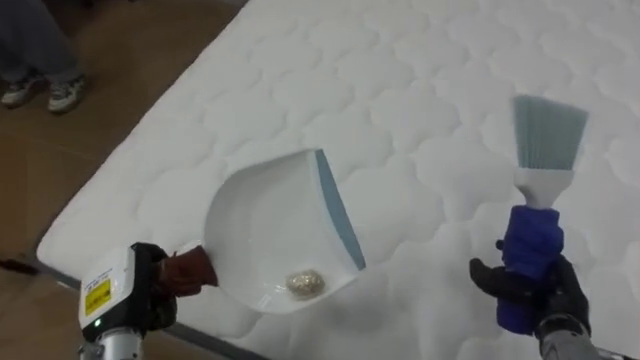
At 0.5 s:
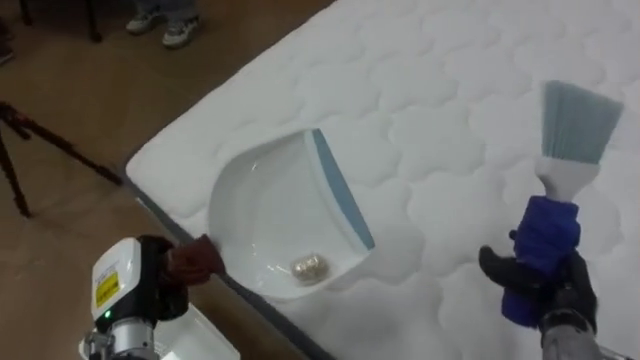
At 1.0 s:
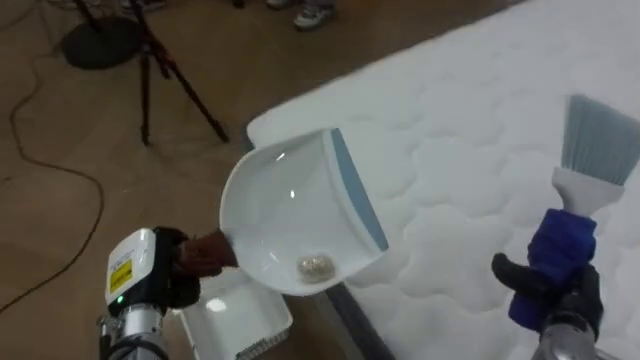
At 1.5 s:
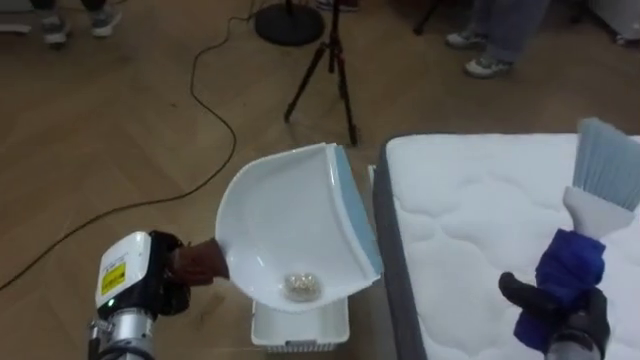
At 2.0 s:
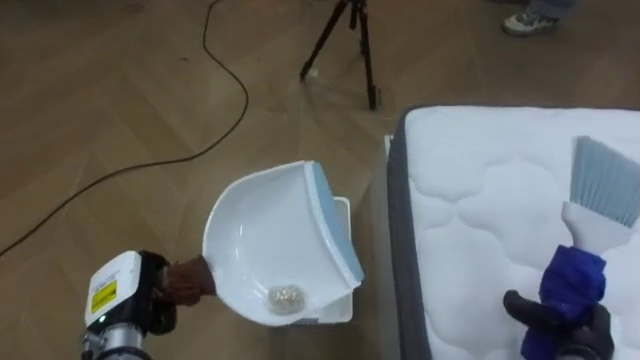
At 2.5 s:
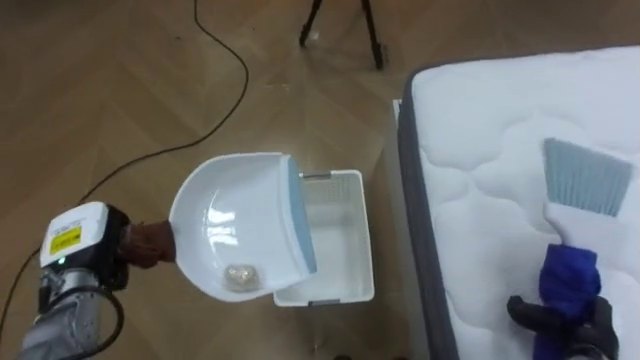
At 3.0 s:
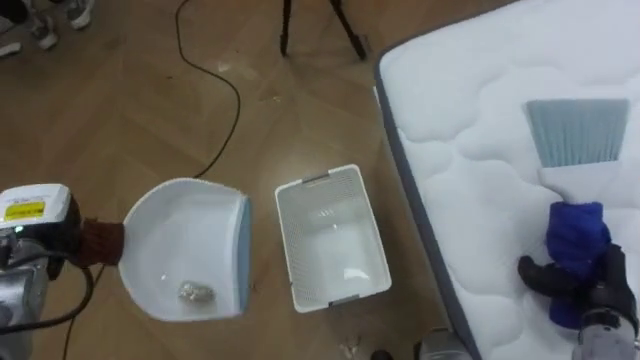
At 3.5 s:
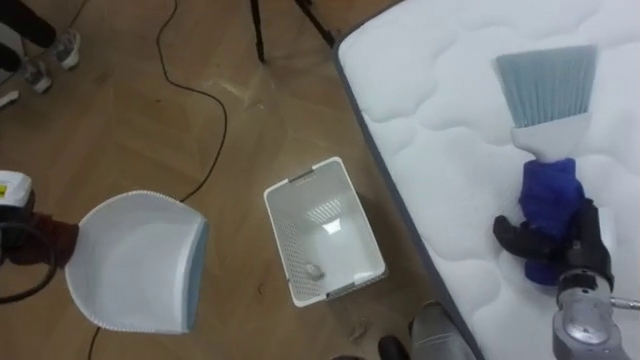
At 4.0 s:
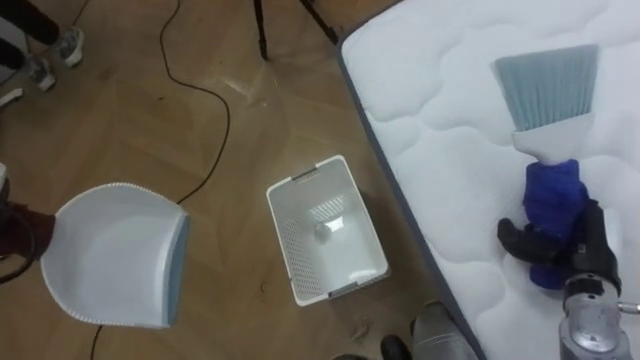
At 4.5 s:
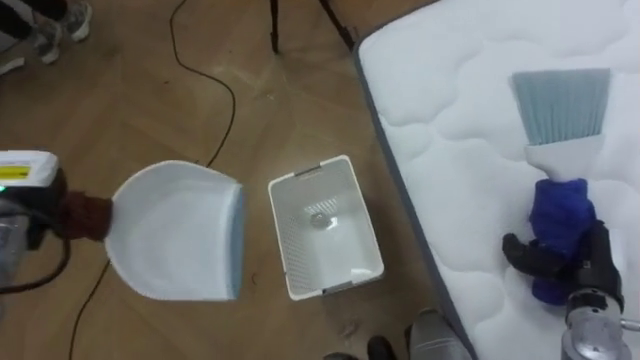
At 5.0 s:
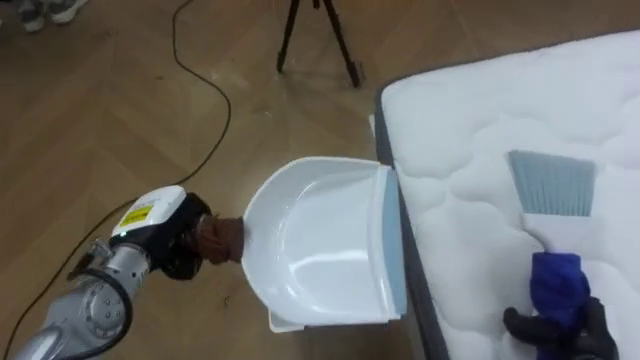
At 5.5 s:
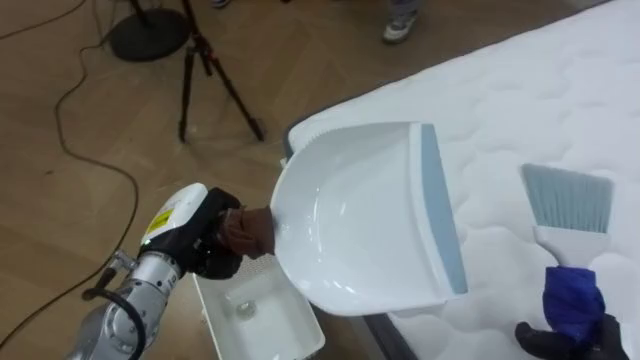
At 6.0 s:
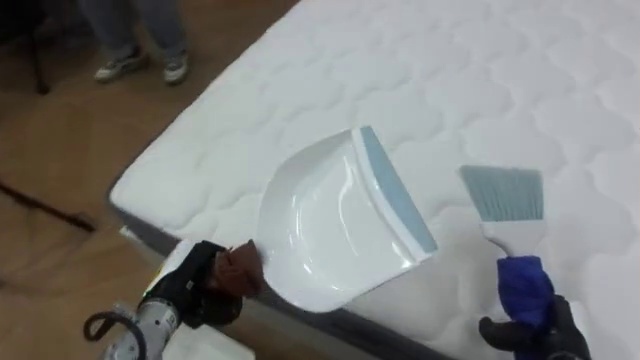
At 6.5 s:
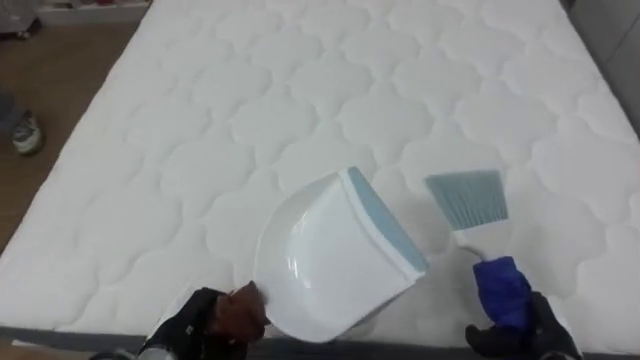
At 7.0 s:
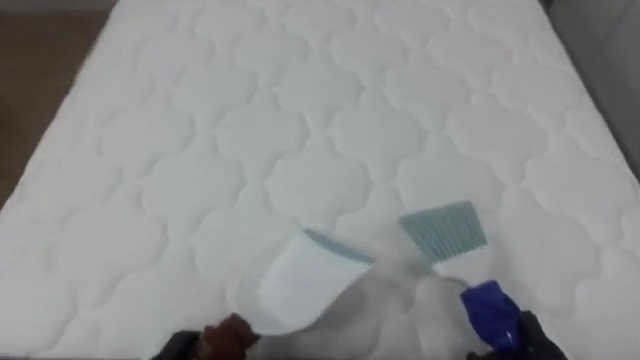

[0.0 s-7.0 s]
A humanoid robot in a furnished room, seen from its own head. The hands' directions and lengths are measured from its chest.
Task of the whole recording: Pick up the brush on your right and the dustpan on your left. Use the brush to sweep the crumpled paper on the bed into the dustpan, then turn left and empty it into the basket.
0.0 to 2.0 s: The robot's body swings some 75 degrees to its left. The right hand changes place by approximately 5 cm.
2.0 to 3.5 s: The right hand goes roughly 10 cm forward and upward.
3.5 to 5.0 s: The right hand travels backward and downward by roughly 10 cm.
5.0 to 7.0 s: The robot rotates some 85 degrees to its right.

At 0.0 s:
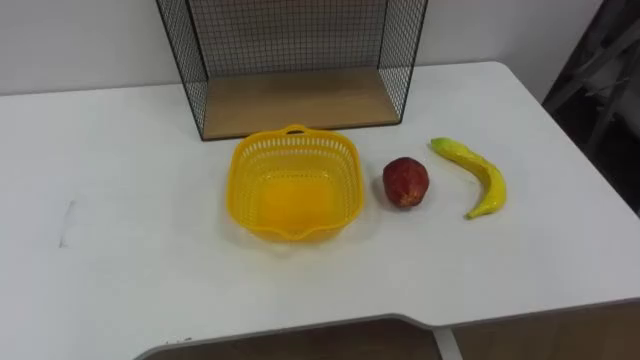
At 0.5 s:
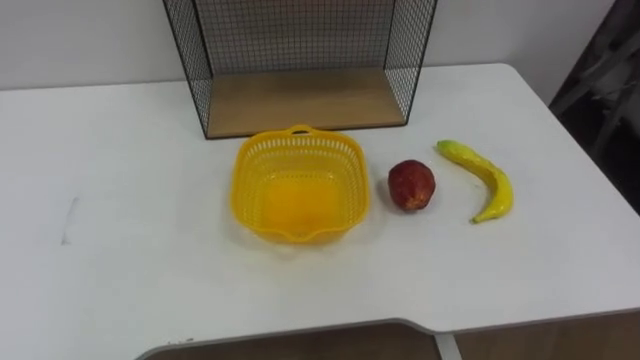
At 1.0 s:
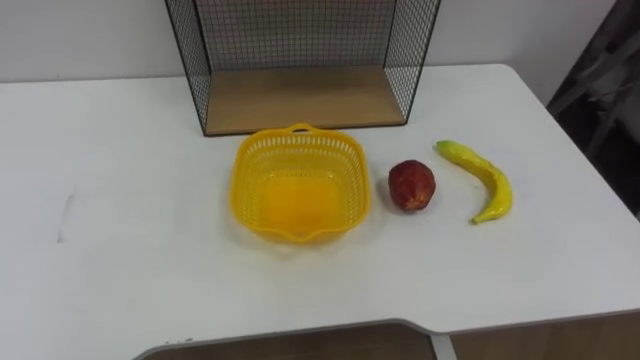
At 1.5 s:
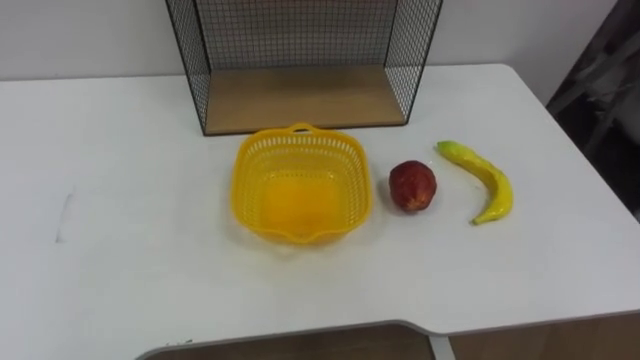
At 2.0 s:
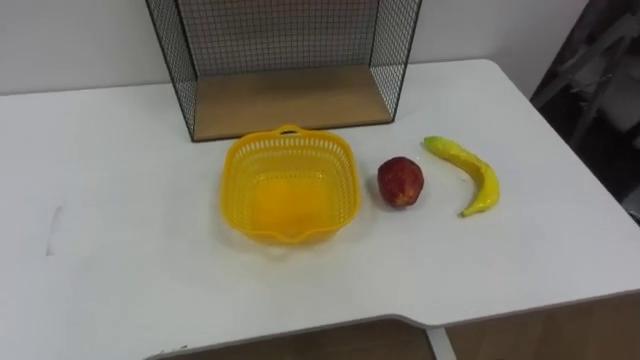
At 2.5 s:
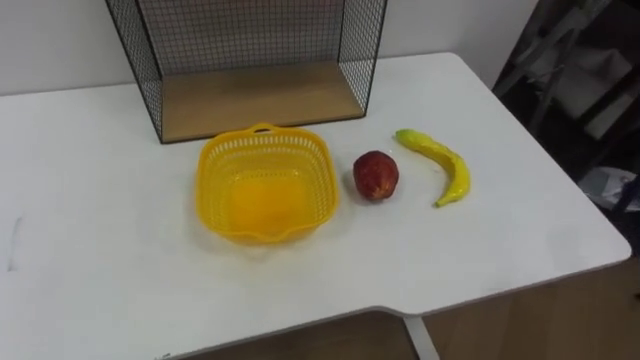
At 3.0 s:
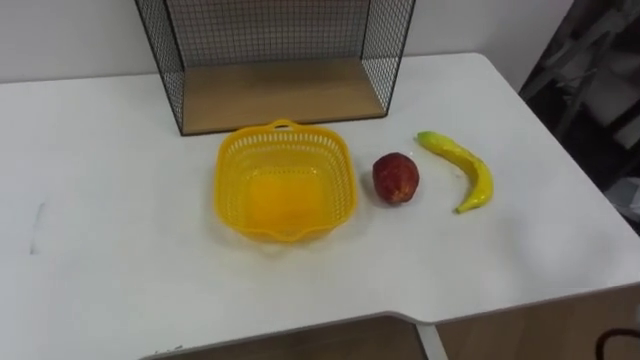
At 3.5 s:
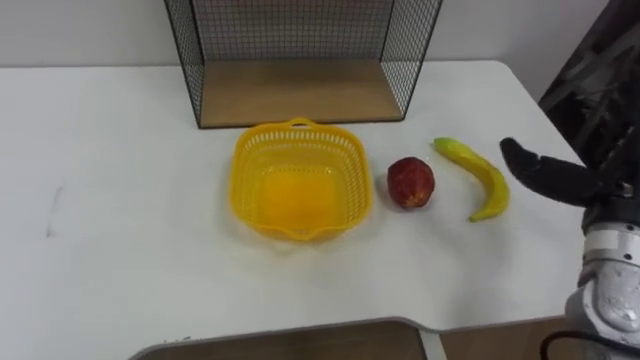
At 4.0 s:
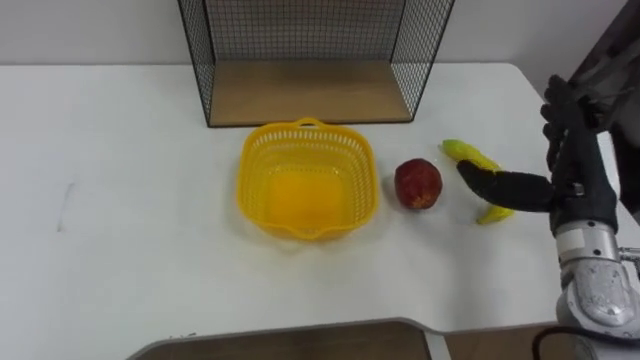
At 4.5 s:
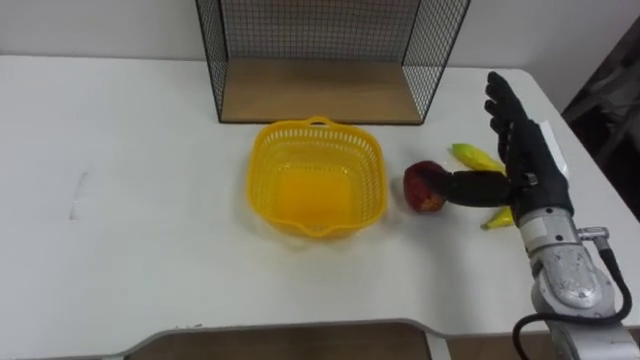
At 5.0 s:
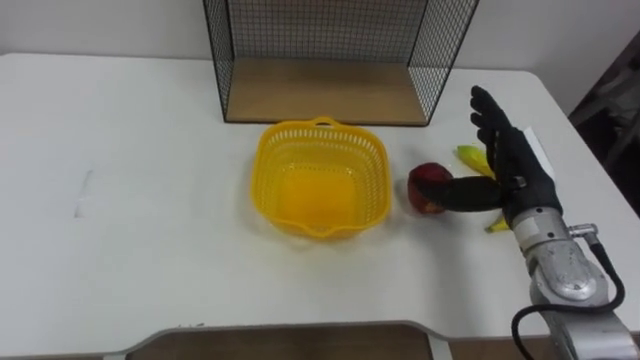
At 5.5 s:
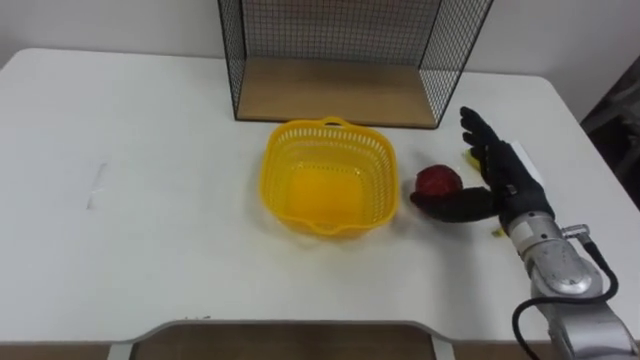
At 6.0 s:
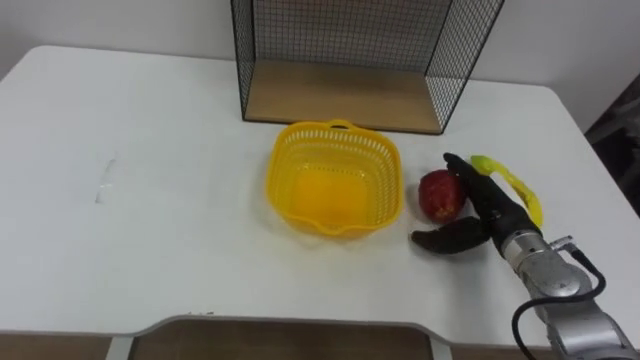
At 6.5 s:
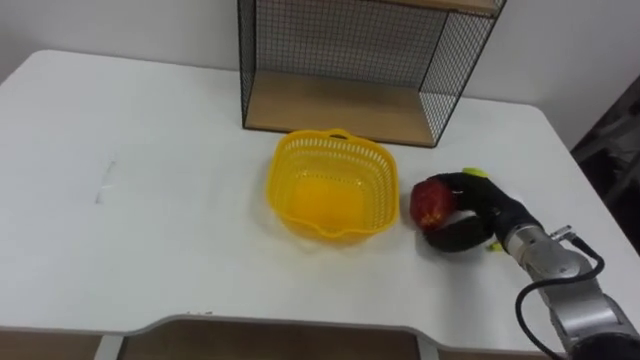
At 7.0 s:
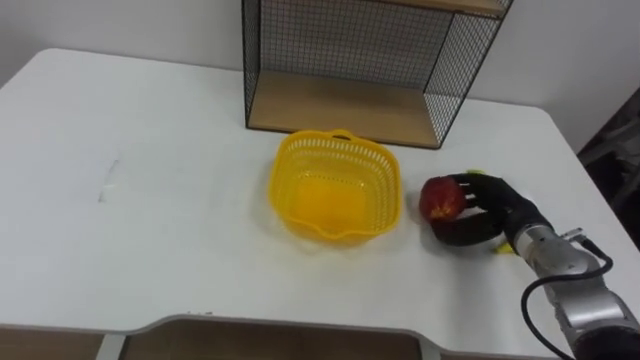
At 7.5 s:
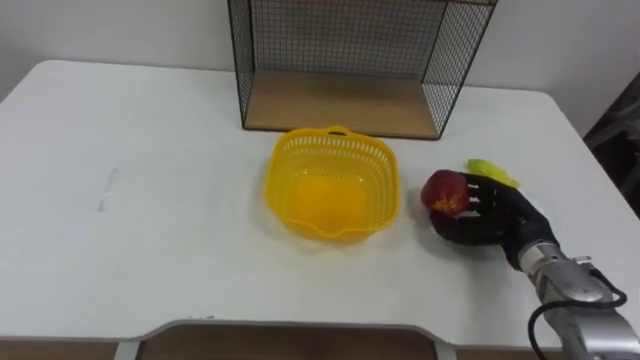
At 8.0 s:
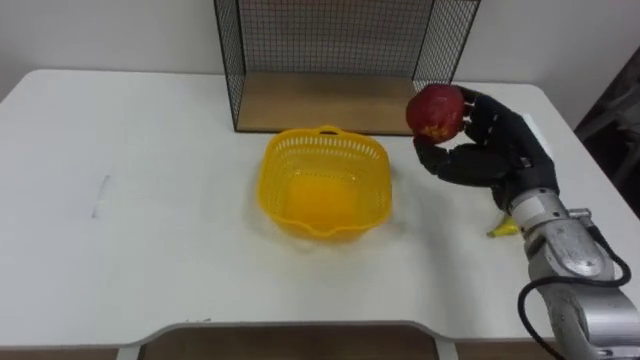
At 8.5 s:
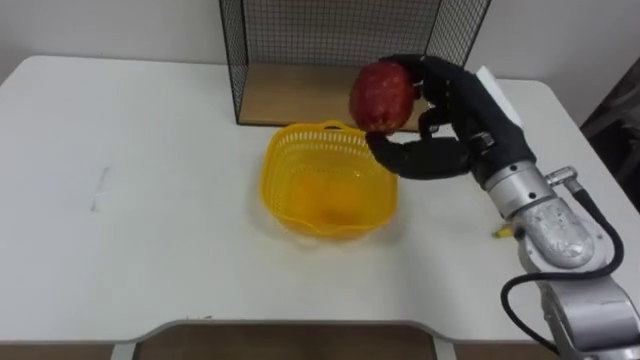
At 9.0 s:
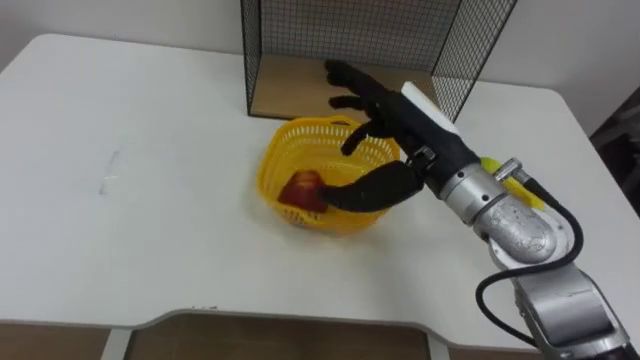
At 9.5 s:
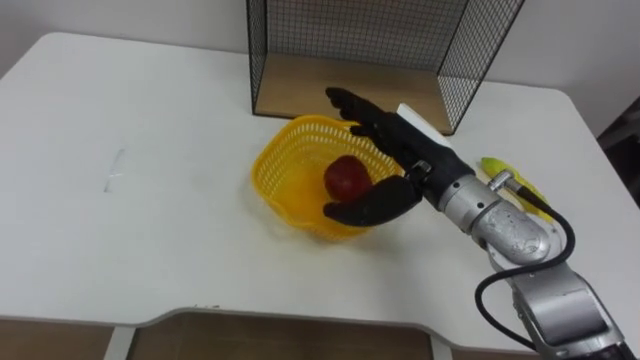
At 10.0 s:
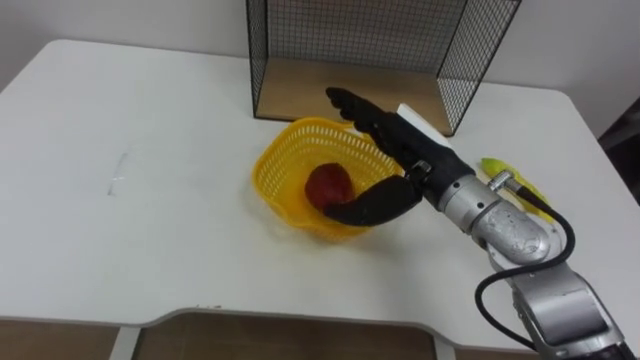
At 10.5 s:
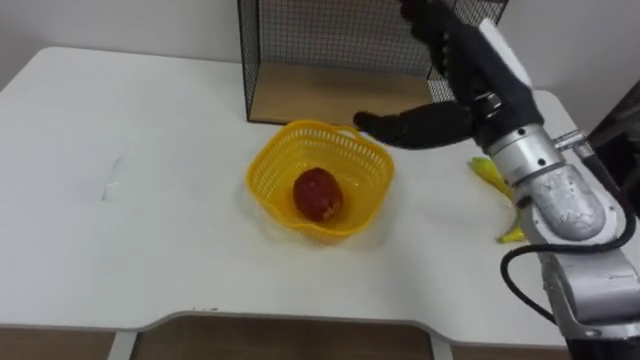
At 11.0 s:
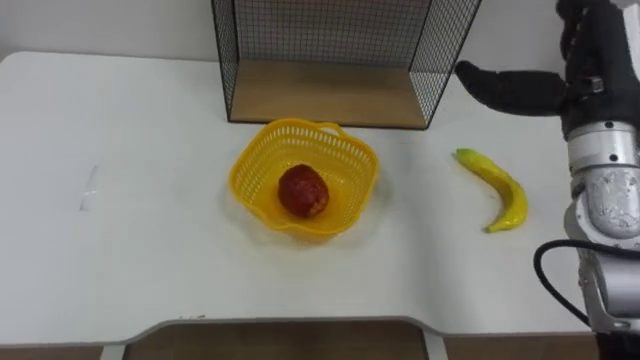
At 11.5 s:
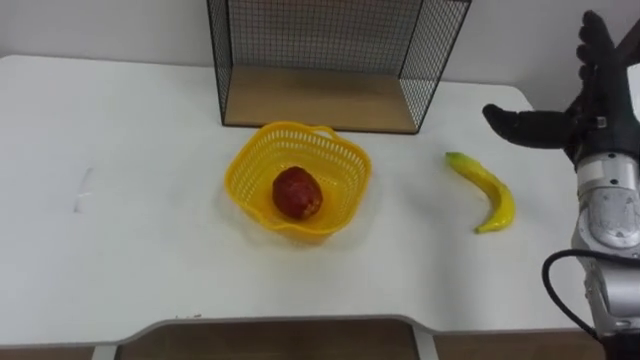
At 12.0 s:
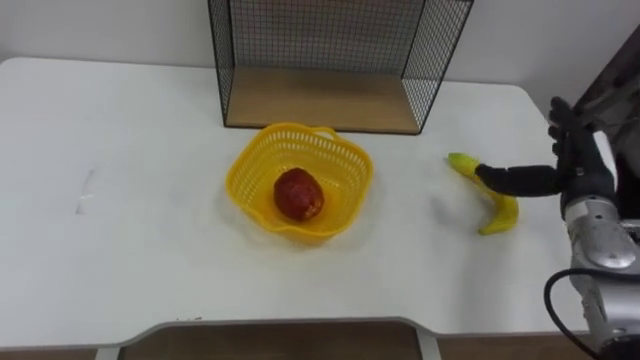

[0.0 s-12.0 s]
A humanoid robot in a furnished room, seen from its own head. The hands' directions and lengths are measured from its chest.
Task of the whole recording: Put the fruit on the table into the basket, then place the basket on the shelf.
4.0 to 6.0 s: The right hand travels downward by about 10 cm.
6.0 to 8.0 s: The right hand travels upward by approximately 10 cm, and closes.
8.0 to 10.0 s: The right hand shifts about 10 cm to the left, and opens.
10.0 to 12.0 s: The right hand moves to the right, some 20 cm.

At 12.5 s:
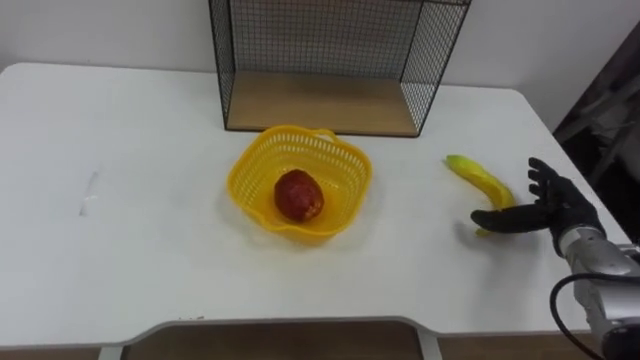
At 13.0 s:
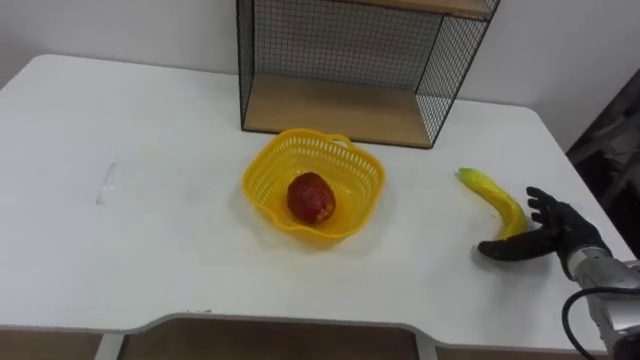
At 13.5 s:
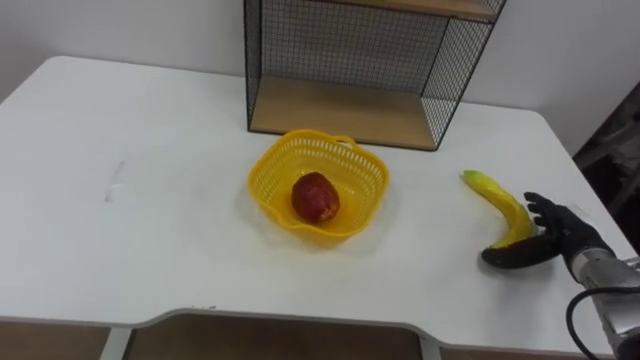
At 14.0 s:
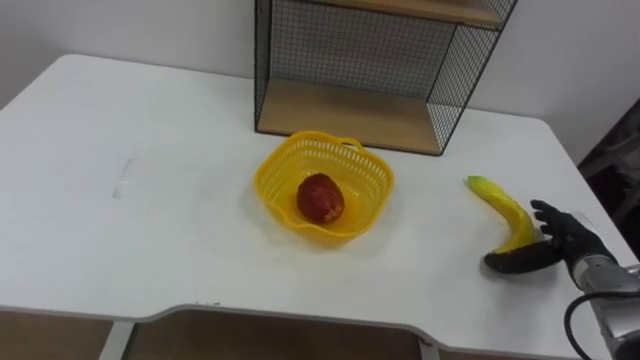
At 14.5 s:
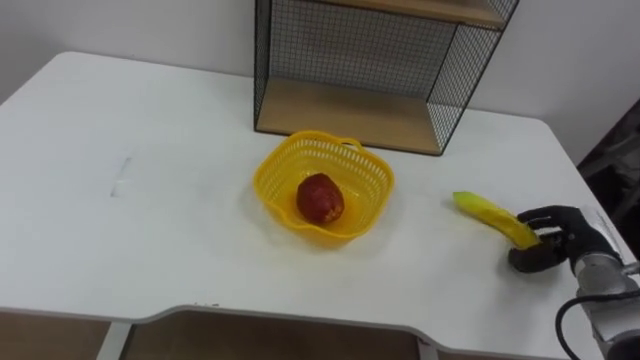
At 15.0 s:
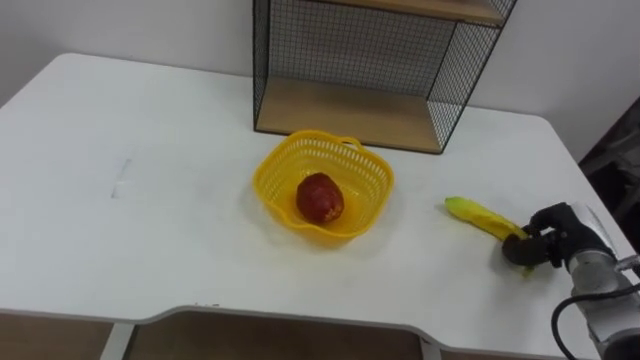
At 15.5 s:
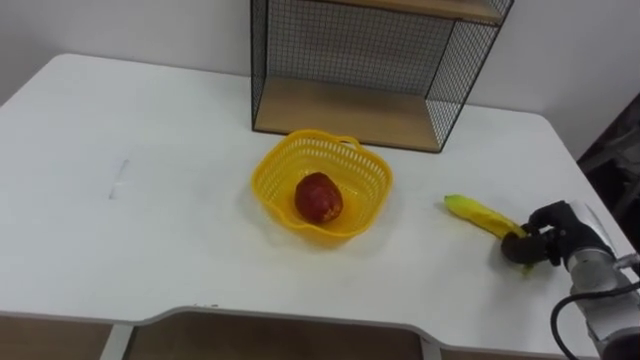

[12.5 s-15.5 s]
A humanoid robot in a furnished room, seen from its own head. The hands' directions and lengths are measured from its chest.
Task of the whole recording: Put the fruit on the table into the basket, then place the basket on the shelf.
12.5 to 14.0 s: The right hand ends up roughly 5 cm from where it was.
14.0 to 15.5 s: The right hand closes up.
